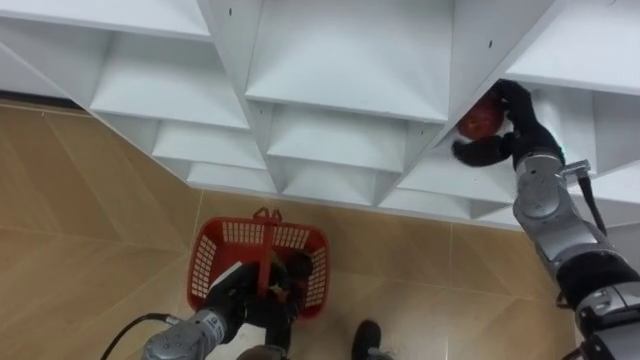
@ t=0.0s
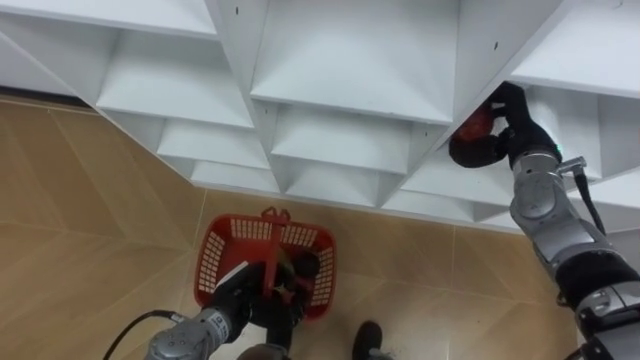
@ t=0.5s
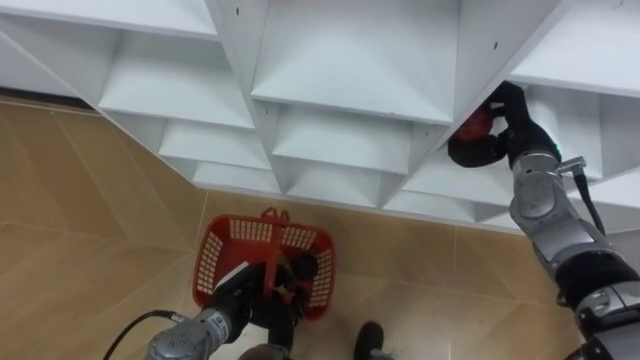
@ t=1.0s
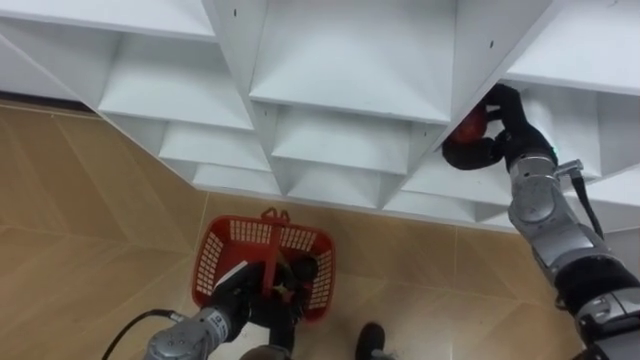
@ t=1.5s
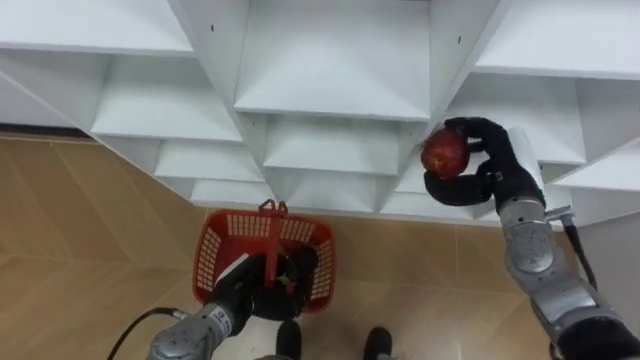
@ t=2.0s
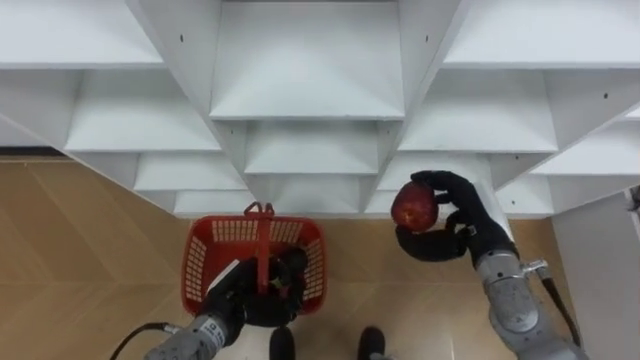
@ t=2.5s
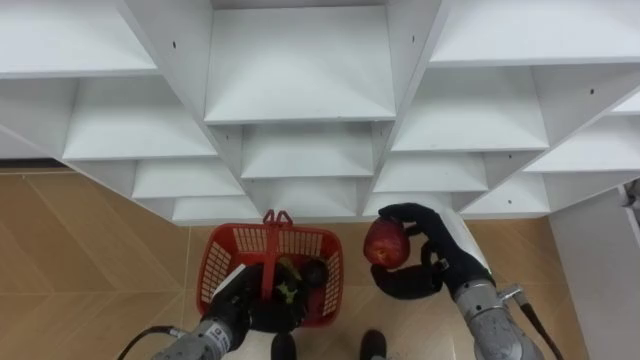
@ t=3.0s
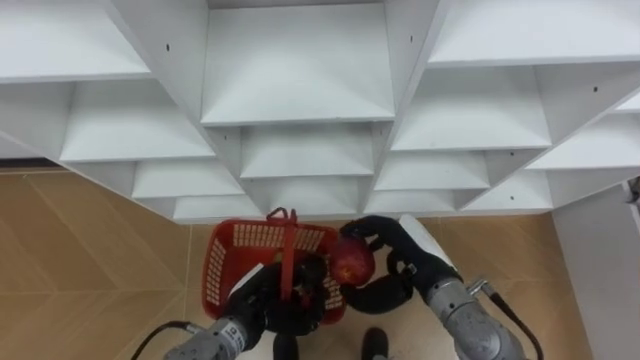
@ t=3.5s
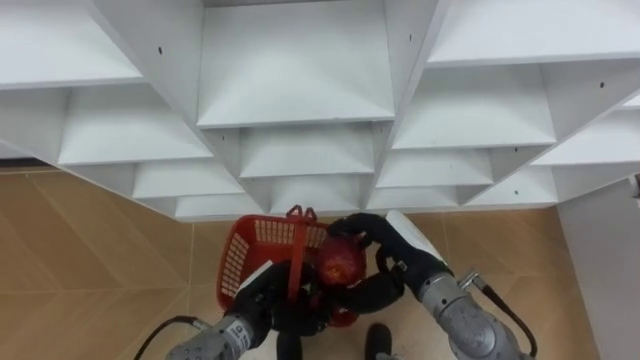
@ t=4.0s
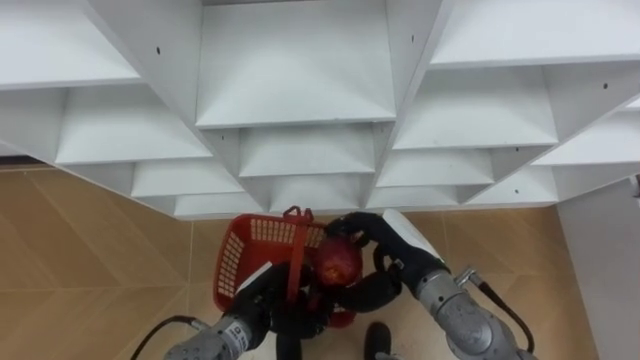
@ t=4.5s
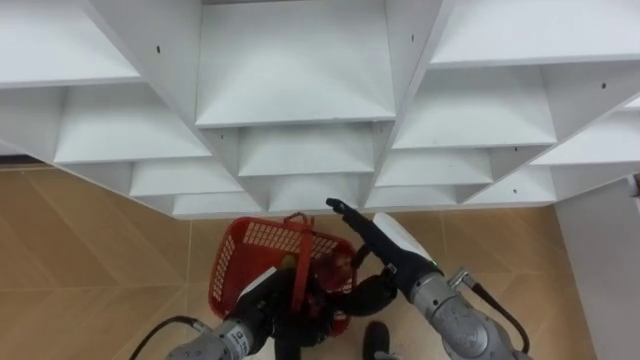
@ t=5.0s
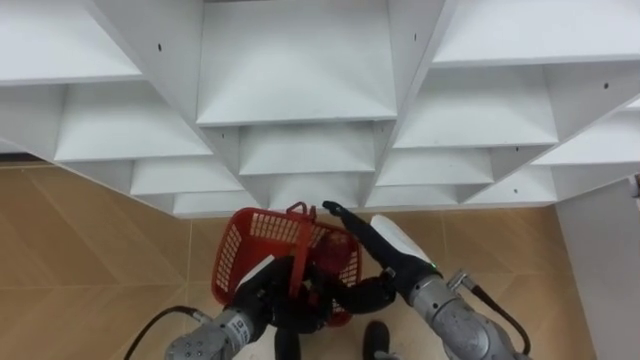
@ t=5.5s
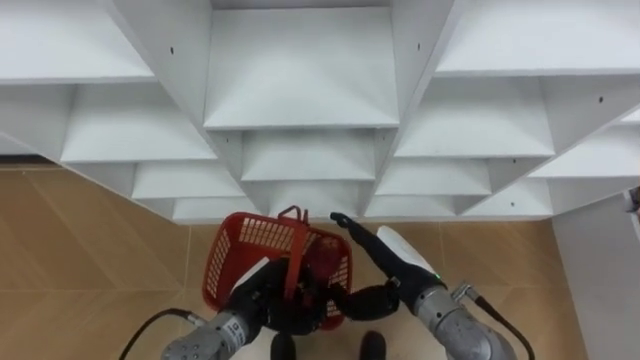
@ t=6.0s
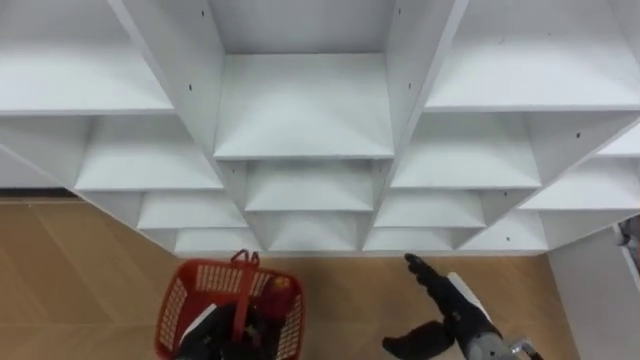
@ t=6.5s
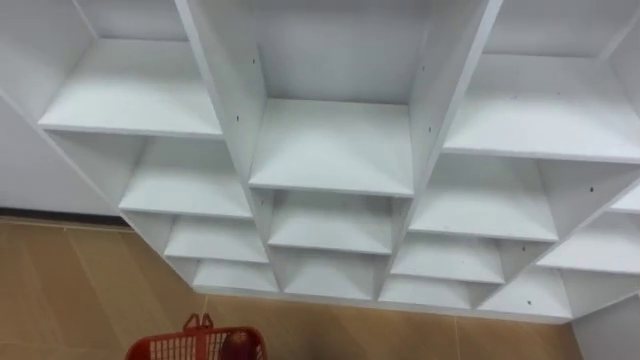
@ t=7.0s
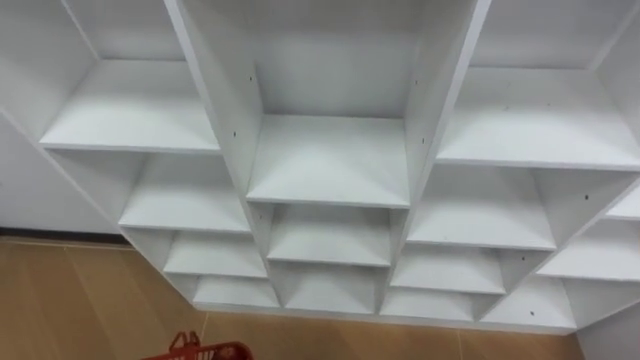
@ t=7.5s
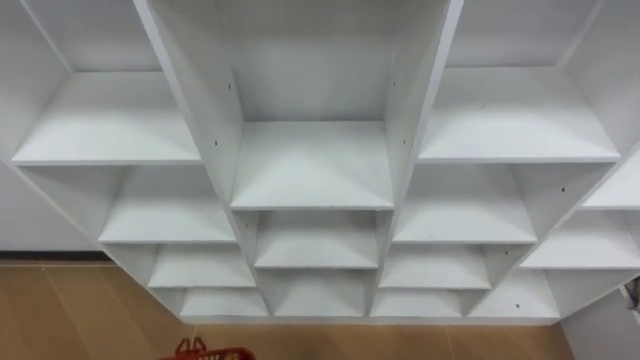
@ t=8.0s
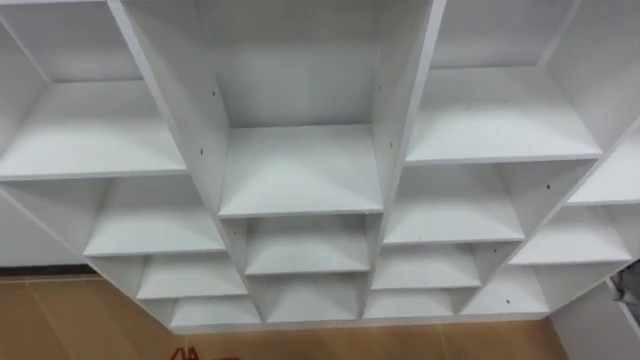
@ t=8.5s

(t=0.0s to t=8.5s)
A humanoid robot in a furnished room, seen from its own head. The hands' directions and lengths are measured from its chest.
Task of the whole recording: Hold the basket and collect the fruits from 3 different cells of the closet into it.
t=0.0s - t=2.0s: The right hand changes place by roughly 5 cm.
t=2.0s - t=4.0s: The right hand is displaced to the left and backward by approximately 15 cm.
t=4.0s - t=6.5s: The right hand goes some 15 cm downward, to the right and backward, and opens. Meanwhile the left hand goes approximately 10 cm to the left.

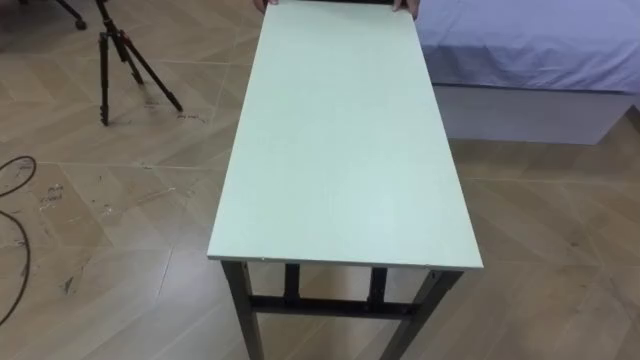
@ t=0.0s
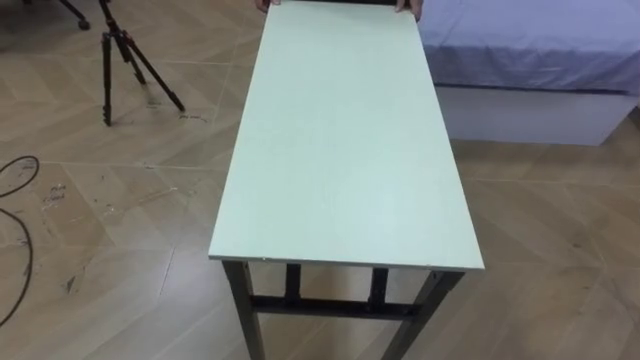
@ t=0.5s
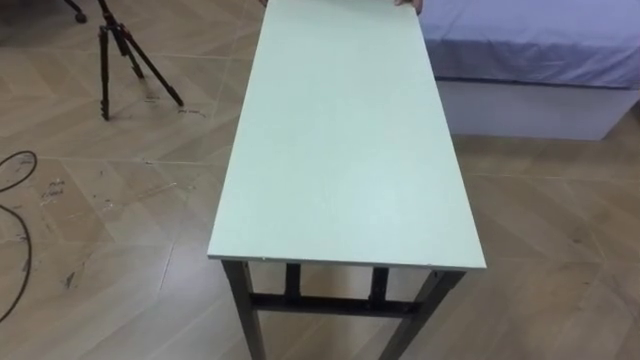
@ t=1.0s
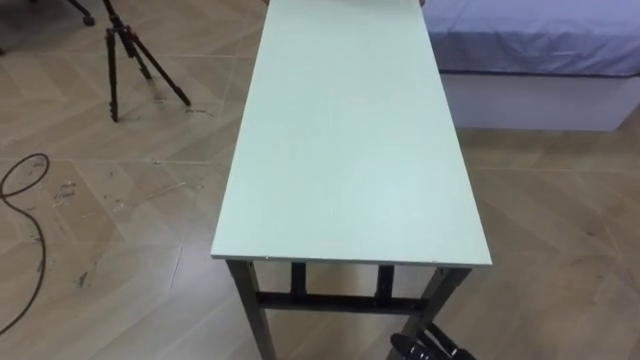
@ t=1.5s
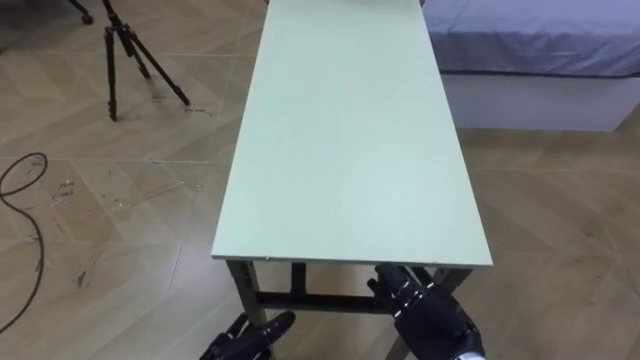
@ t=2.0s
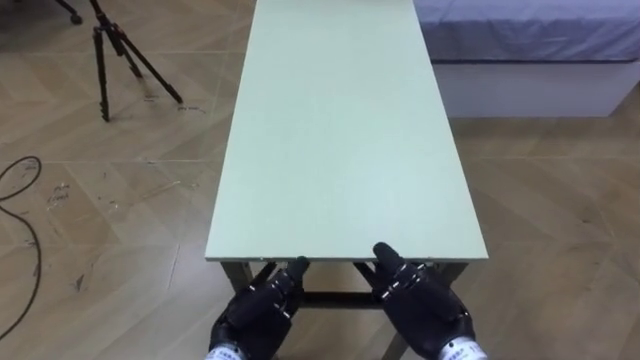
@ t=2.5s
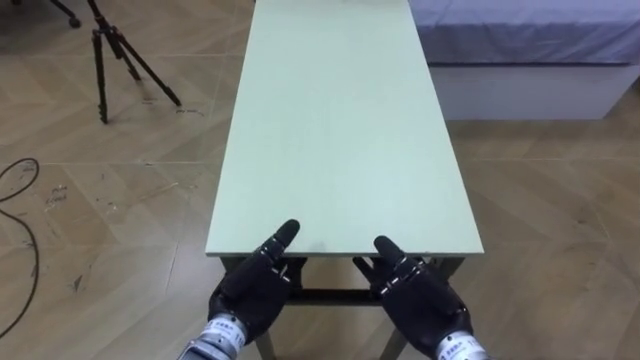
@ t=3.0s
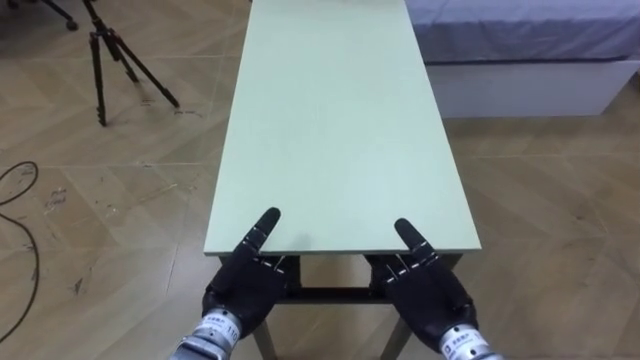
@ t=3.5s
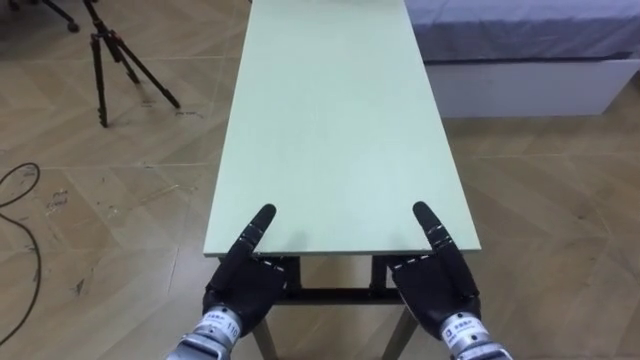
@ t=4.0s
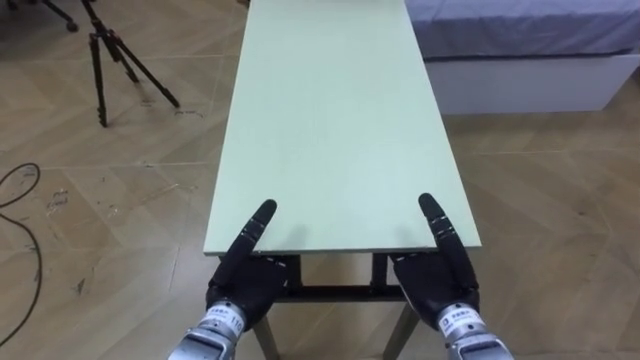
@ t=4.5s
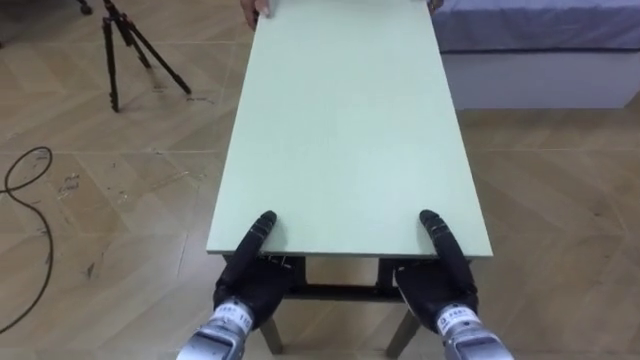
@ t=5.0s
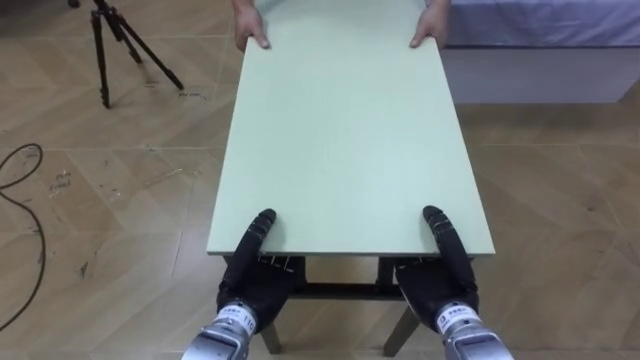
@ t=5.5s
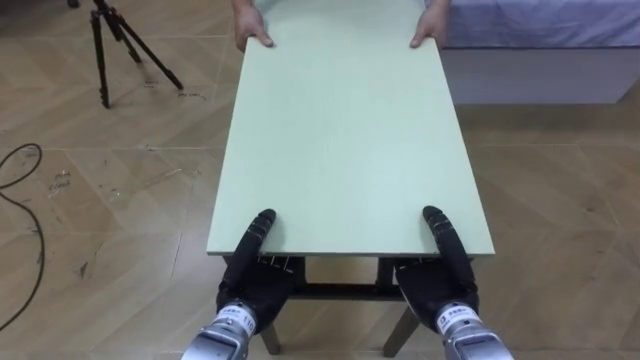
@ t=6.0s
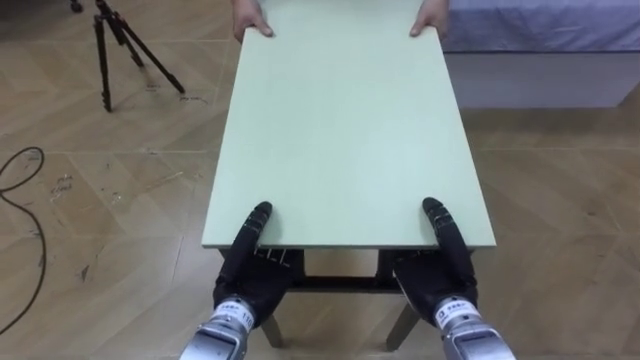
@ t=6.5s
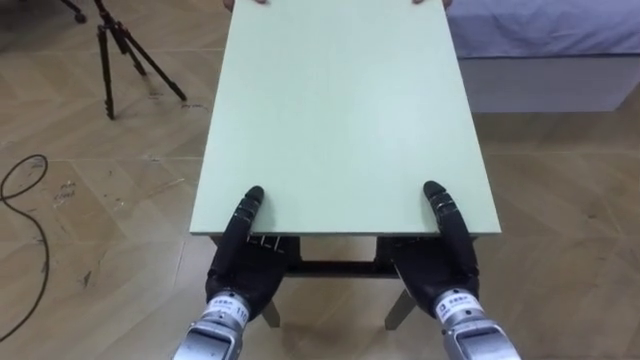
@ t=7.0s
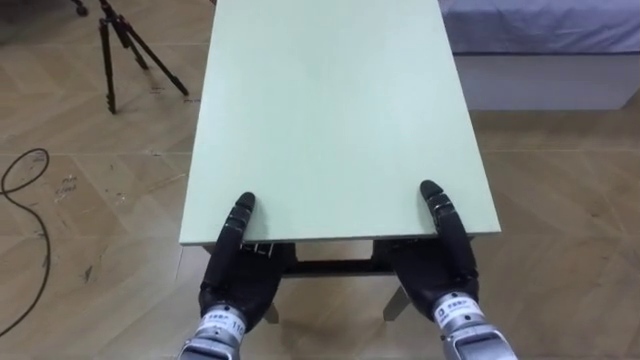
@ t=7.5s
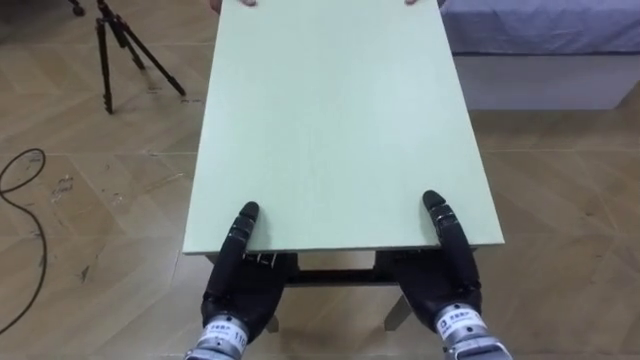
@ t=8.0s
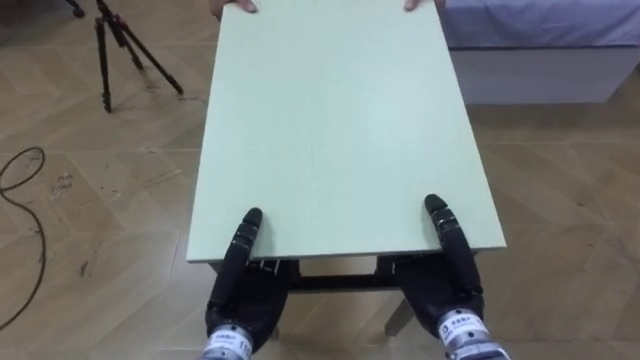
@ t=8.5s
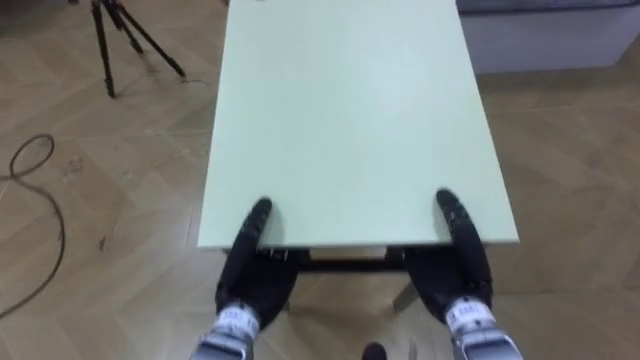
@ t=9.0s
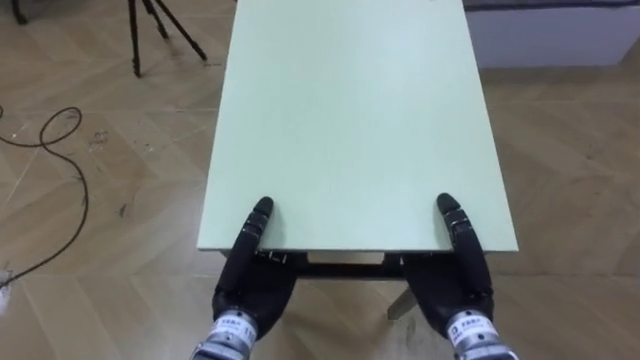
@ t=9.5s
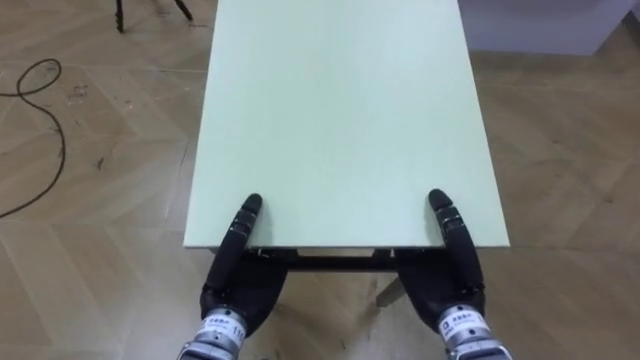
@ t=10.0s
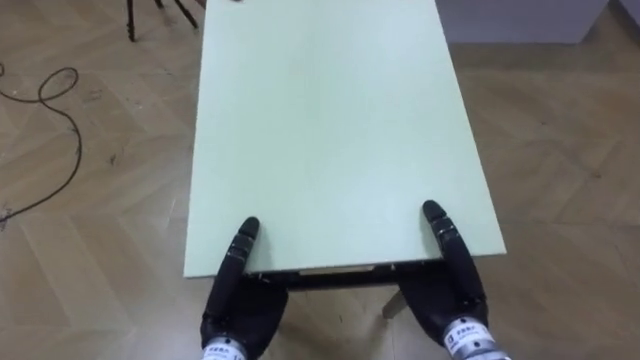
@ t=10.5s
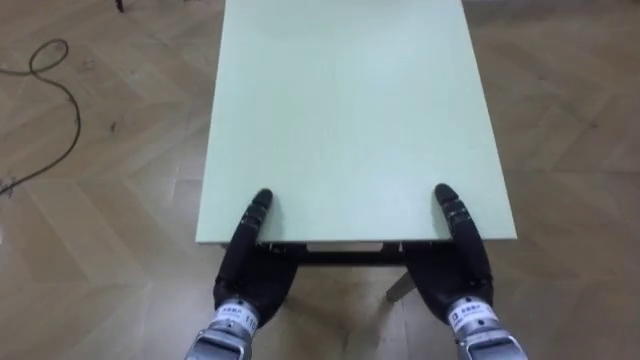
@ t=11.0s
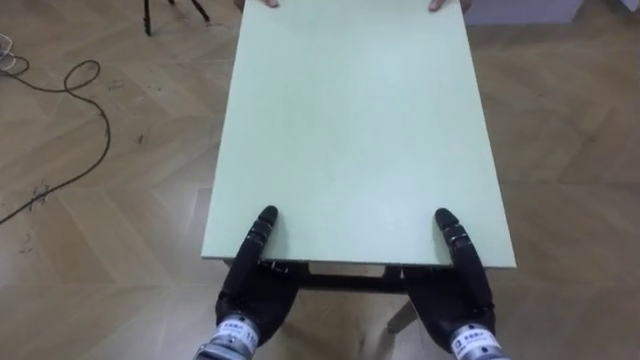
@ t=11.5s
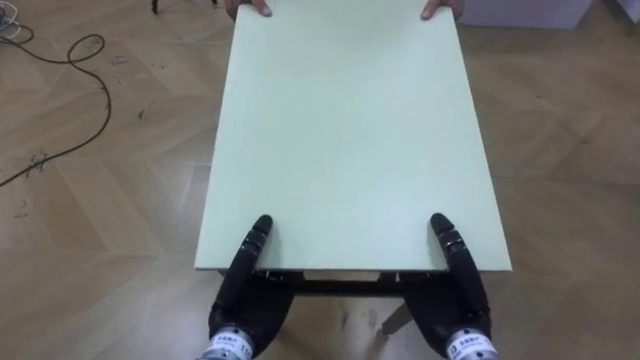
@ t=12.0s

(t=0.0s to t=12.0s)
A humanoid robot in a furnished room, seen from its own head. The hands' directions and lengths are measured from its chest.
Task of the whole recording: Move the table to the back left with someone.
t=2.0s - t=4.0s: The right hand moves some 5 cm.
t=4.0s - t=6.0s: The left hand closes its fingers; the right hand closes up.
